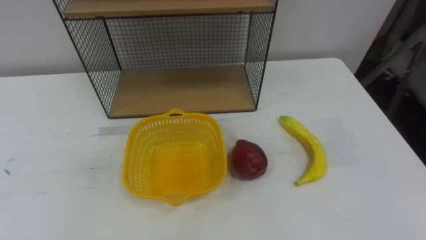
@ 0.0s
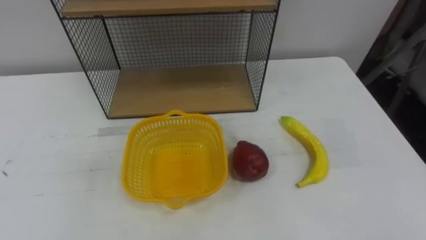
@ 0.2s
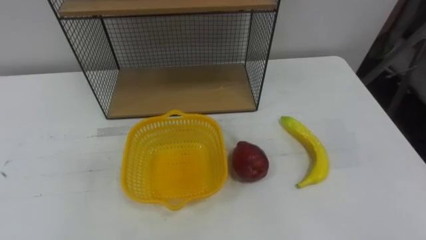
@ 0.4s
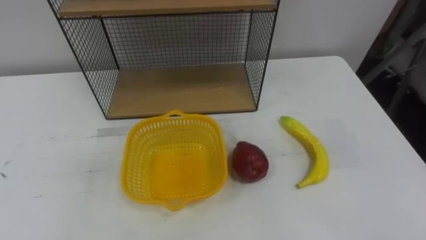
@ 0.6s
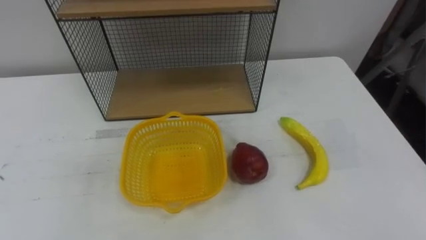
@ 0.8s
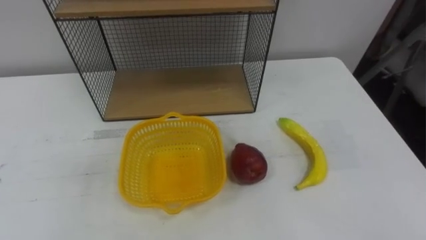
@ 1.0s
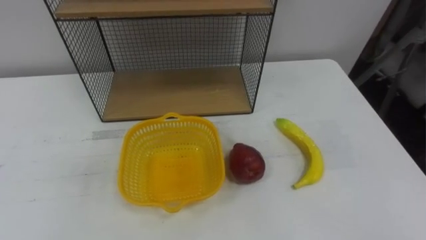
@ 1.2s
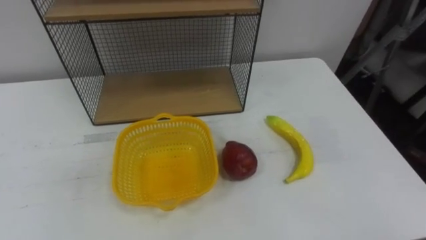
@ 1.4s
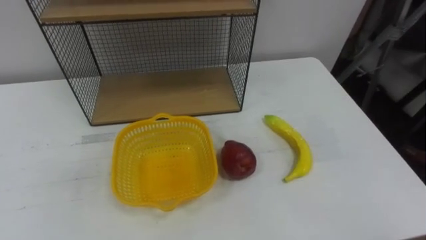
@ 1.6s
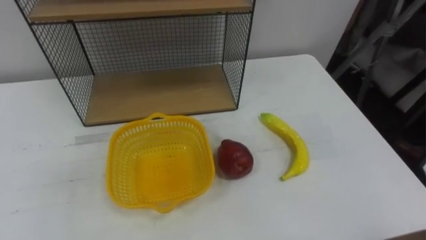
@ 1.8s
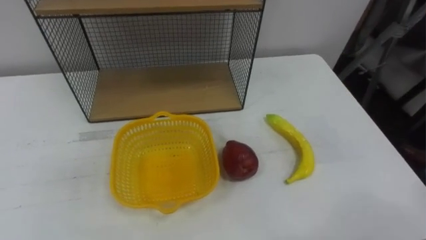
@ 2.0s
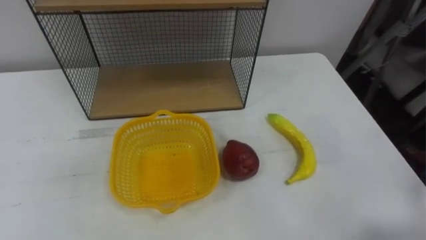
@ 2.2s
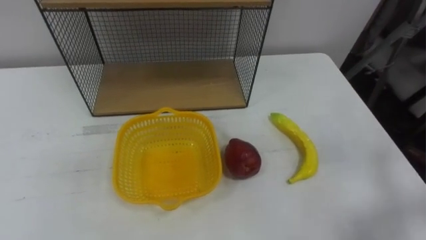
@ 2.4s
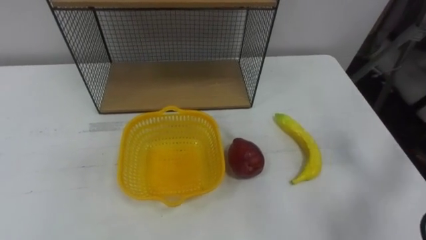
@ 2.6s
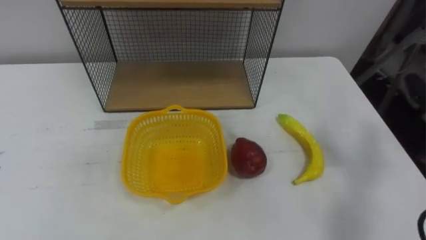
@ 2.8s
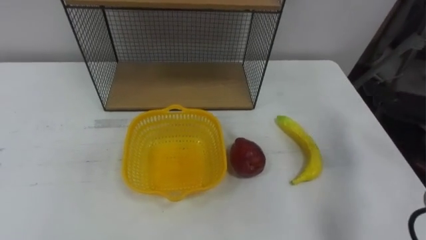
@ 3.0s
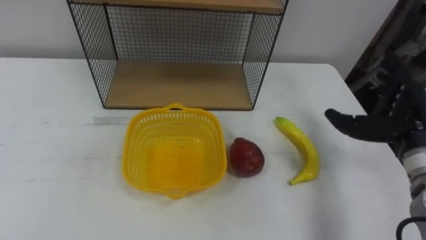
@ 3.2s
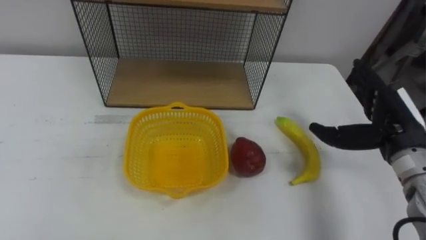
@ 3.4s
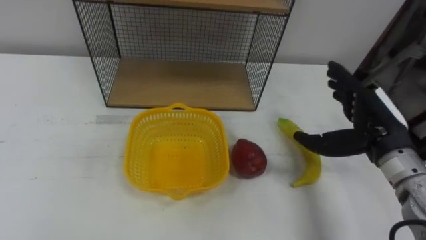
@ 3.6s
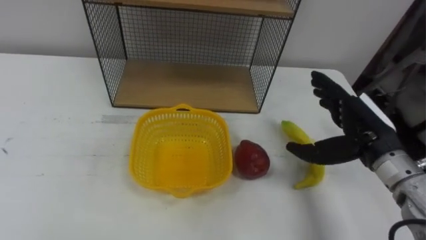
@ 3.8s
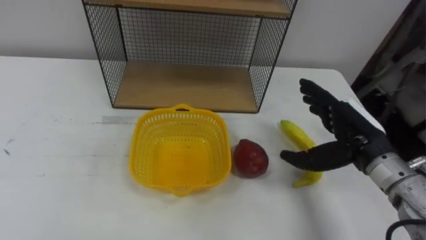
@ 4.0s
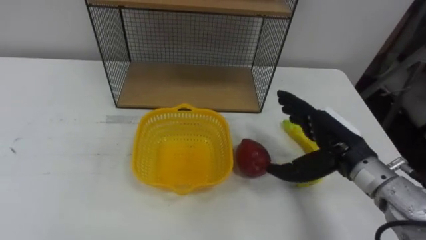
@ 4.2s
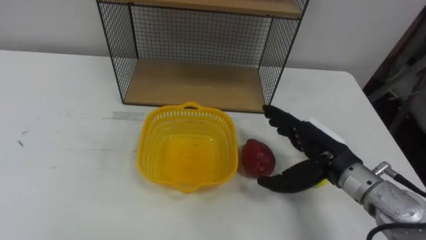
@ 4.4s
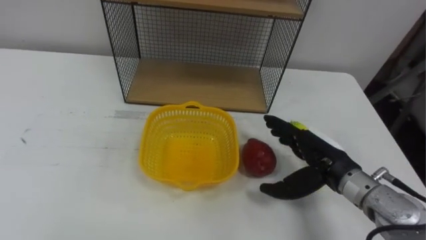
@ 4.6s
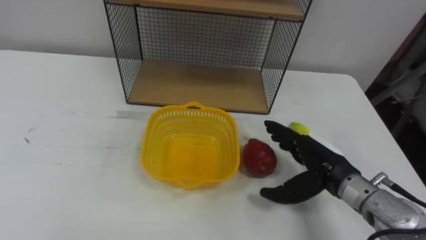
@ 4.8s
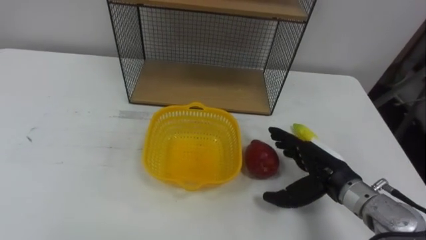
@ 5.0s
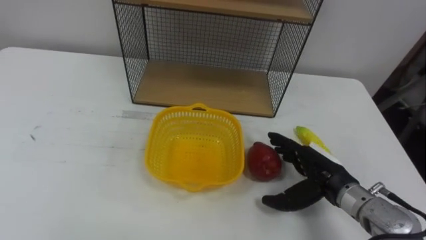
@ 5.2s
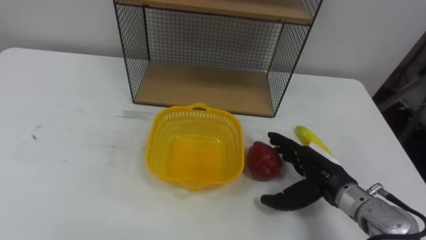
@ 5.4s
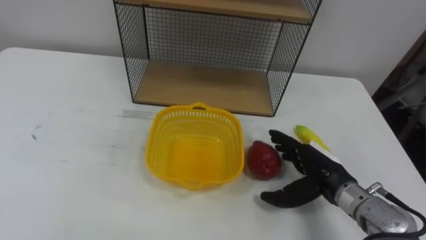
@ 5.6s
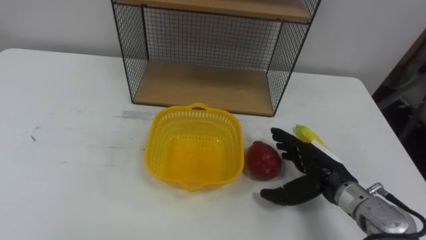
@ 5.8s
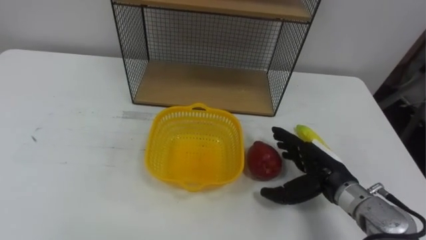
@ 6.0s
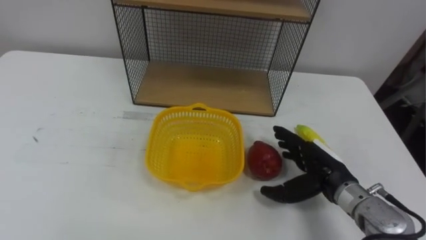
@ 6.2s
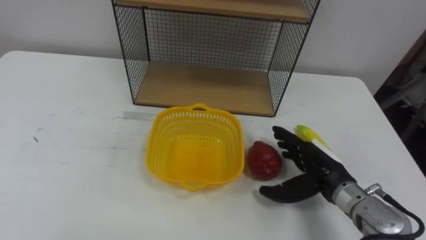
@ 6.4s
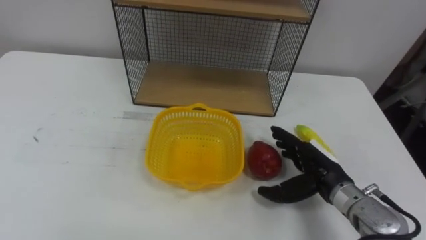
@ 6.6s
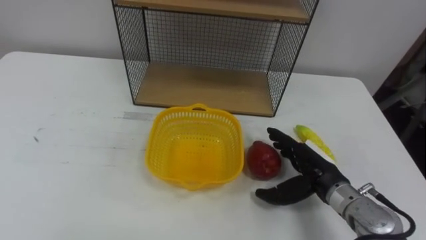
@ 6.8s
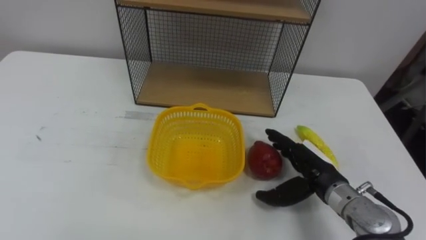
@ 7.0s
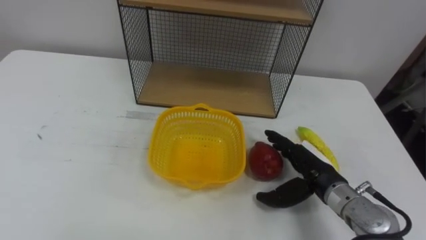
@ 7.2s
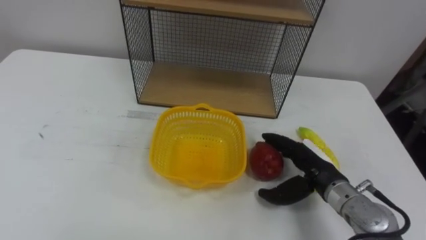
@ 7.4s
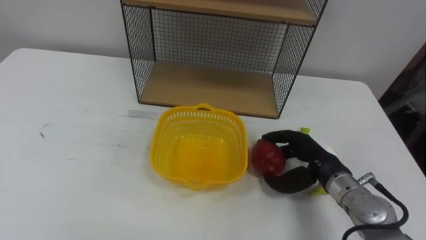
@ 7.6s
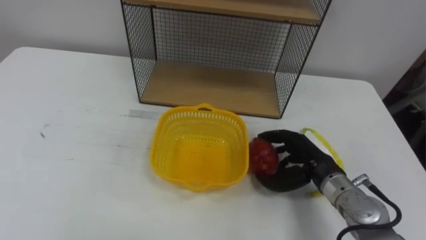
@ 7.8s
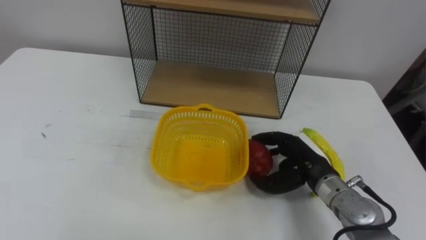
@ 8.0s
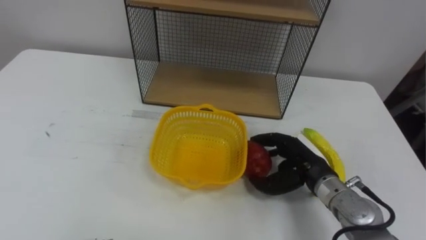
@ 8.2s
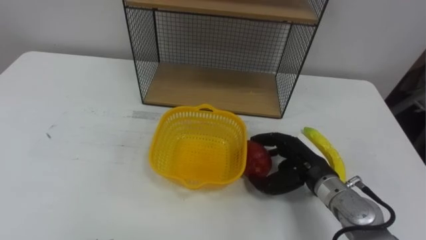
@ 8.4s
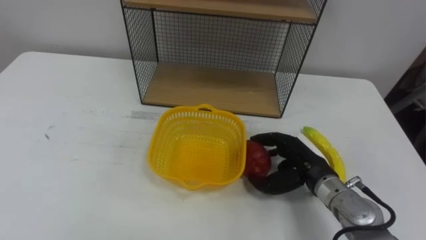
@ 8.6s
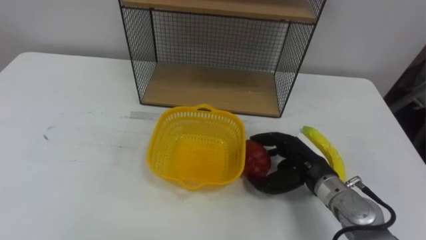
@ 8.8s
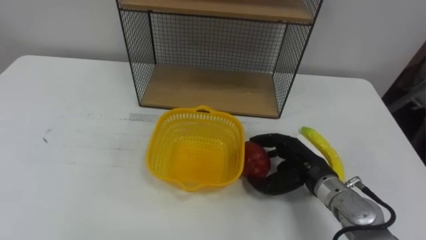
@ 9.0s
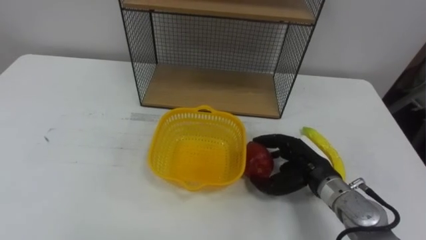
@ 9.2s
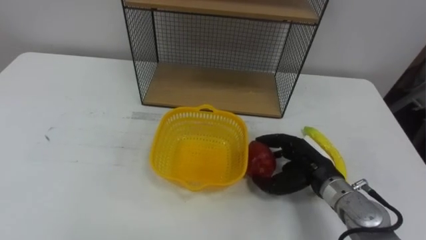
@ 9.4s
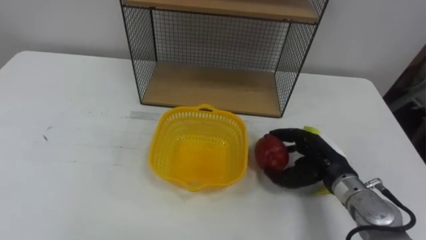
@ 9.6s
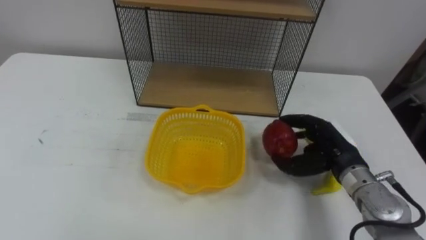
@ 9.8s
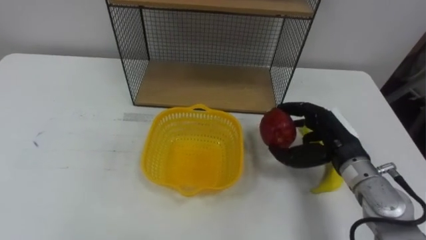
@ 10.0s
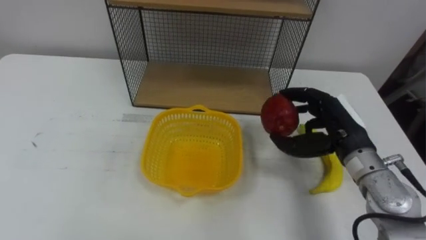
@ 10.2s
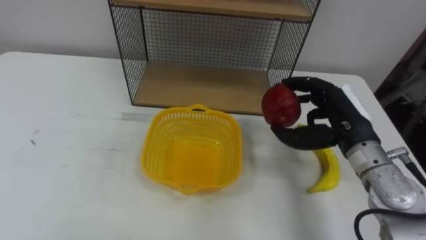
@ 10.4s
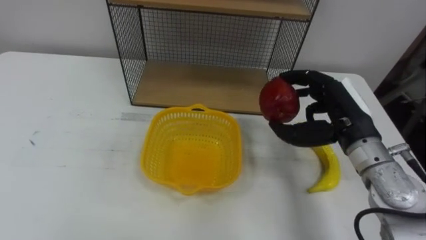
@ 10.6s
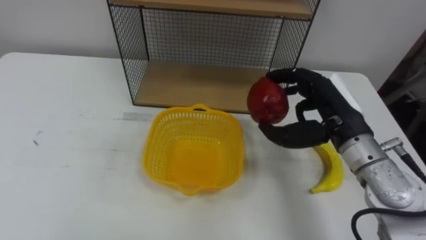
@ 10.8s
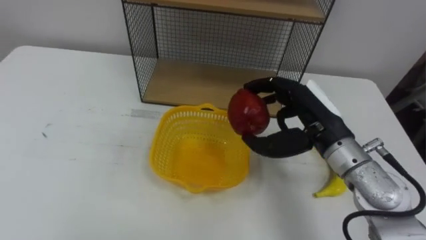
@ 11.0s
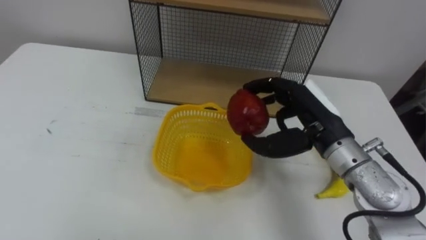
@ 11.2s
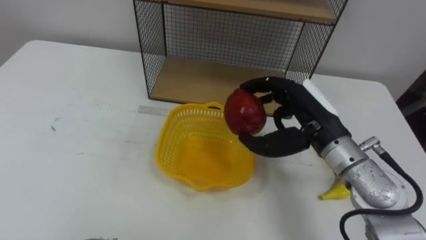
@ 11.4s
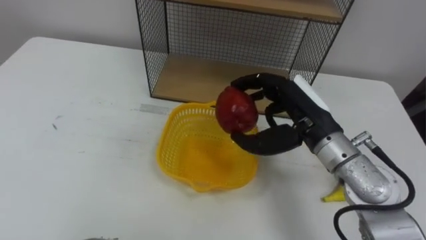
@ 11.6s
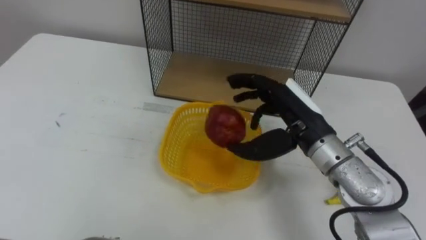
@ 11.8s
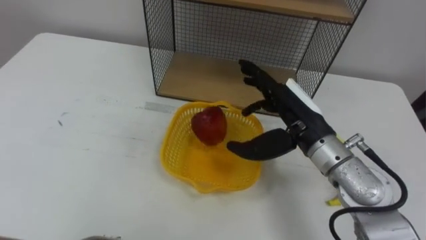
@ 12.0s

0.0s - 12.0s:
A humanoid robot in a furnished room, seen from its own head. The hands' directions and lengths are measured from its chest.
Task of the whole recording: Put the fruit on the table into the basket, then place the basket on the shelf.
4.4s - 6.0s: The right hand is displaced downward by about 5 cm.
6.0s - 7.6s: The right hand closes.
9.0s - 10.4s: The right hand heads upward, covering roughly 10 cm.
10.4s - 12.0s: The right hand travels to the left by about 10 cm, and opens.

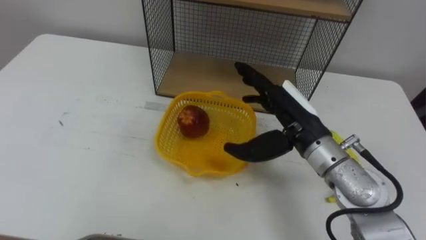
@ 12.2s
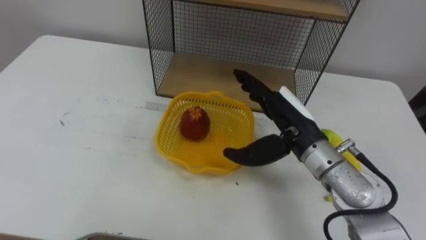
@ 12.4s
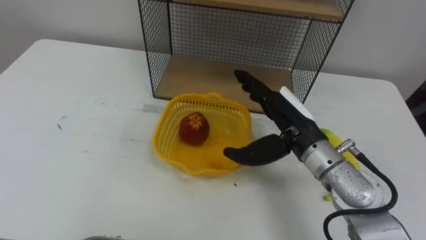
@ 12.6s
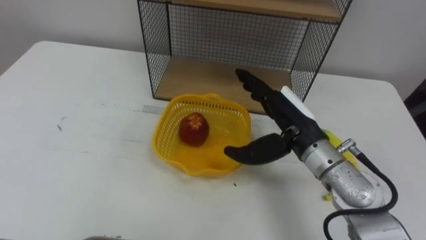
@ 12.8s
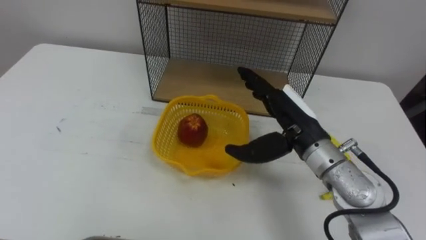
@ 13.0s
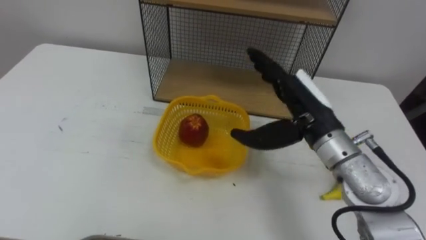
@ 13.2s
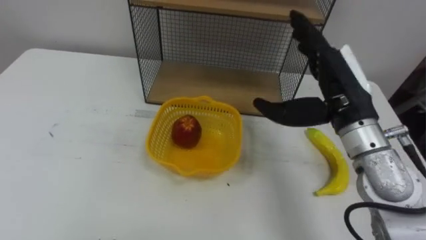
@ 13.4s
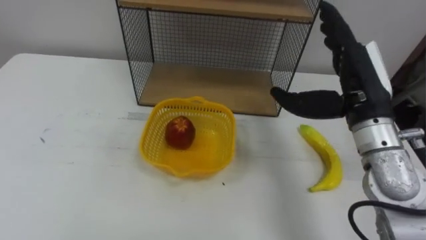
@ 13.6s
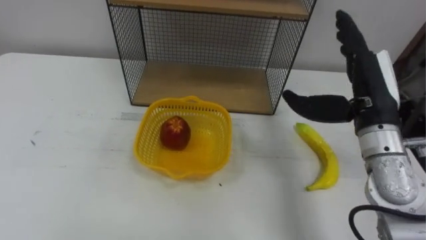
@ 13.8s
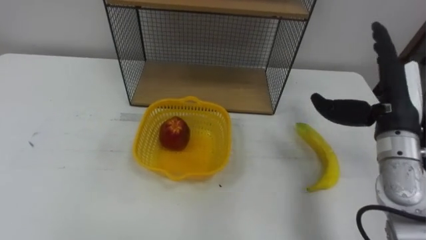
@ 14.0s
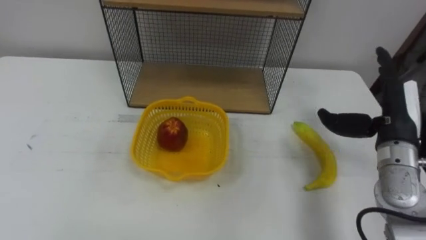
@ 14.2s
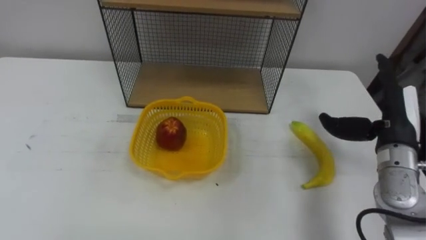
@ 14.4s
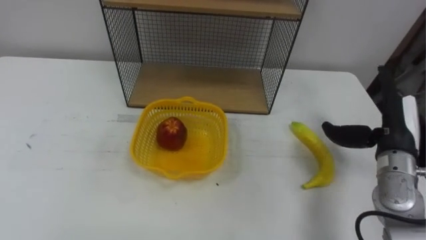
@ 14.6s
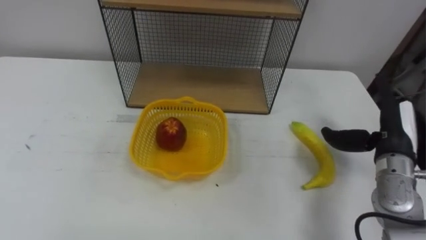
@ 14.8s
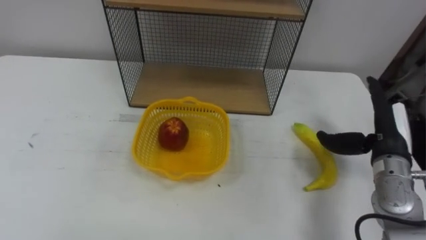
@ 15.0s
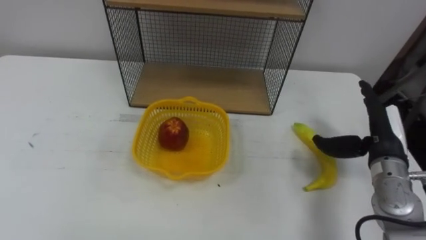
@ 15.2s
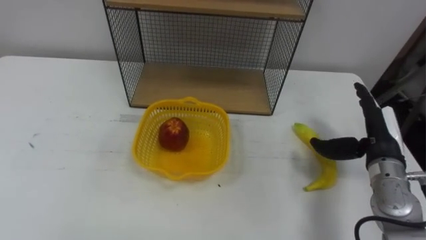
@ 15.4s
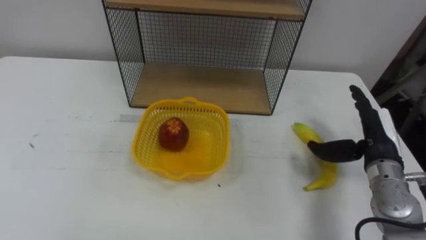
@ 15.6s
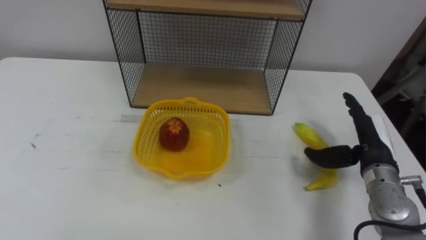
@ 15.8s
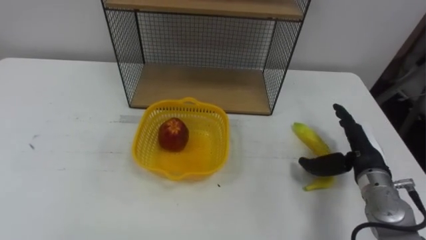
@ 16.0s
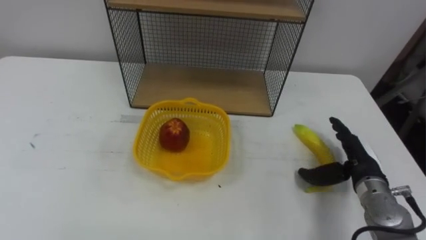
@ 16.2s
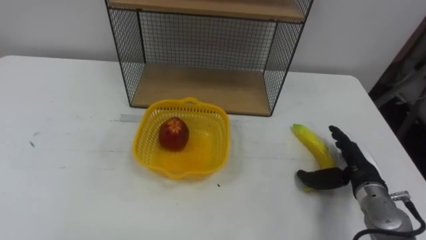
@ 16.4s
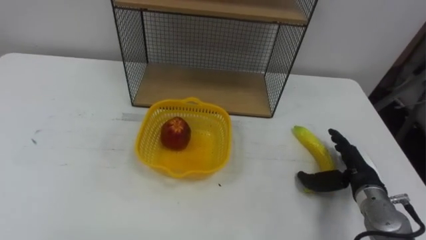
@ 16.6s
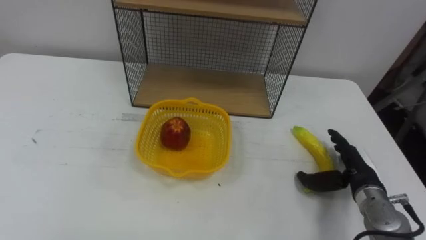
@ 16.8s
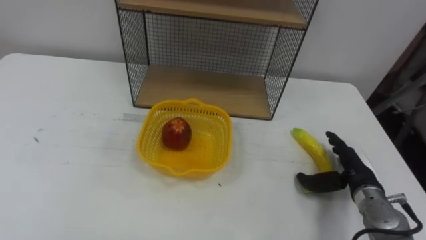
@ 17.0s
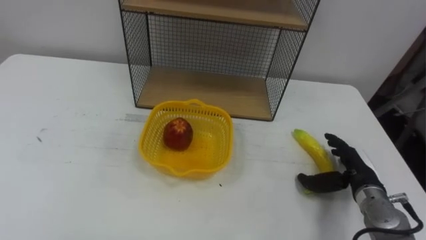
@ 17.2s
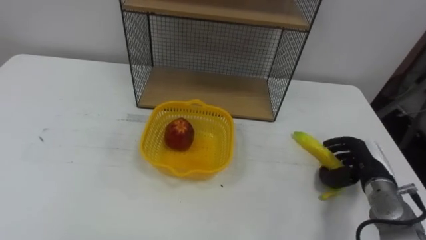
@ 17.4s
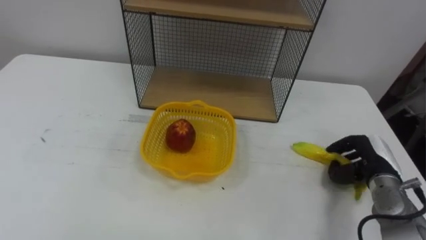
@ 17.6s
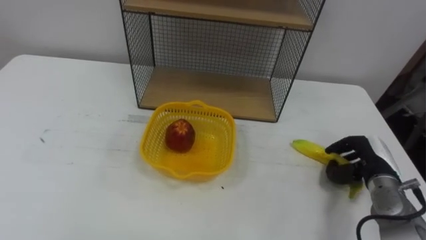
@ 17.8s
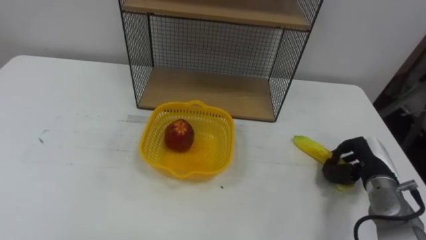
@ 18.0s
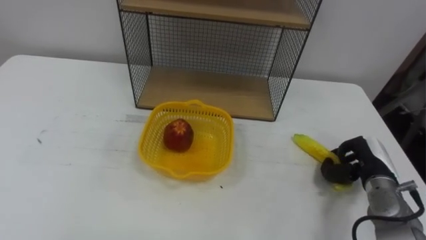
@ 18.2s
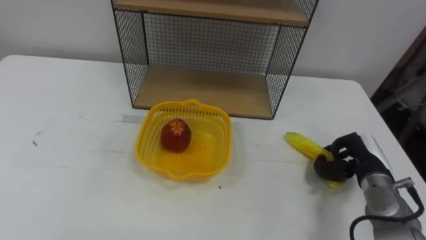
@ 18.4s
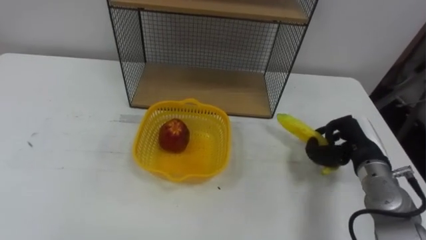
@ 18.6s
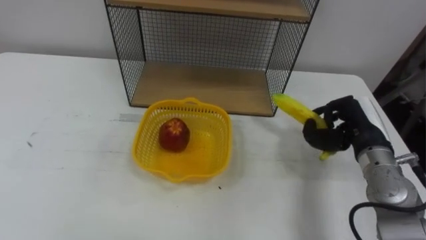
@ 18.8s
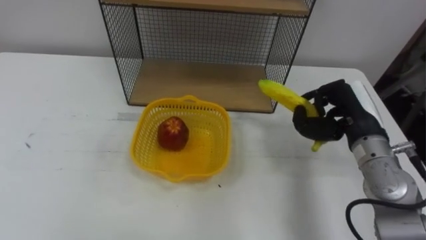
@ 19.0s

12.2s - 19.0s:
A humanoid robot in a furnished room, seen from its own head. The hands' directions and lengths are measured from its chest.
Task of the whole recording: Put the fruit on the table into the basket, then place the basket on the shelf.
12.2s - 13.6s: The right hand moves to the right and upward, some 10 cm.
13.6s - 15.0s: The right hand goes roughly 15 cm downward and to the right.
15.0s - 16.2s: The right hand is displaced downward by about 5 cm.
16.2s - 17.6s: The right hand closes up.
17.6s - 19.0s: The right hand heads upward and to the left, covering some 15 cm.
